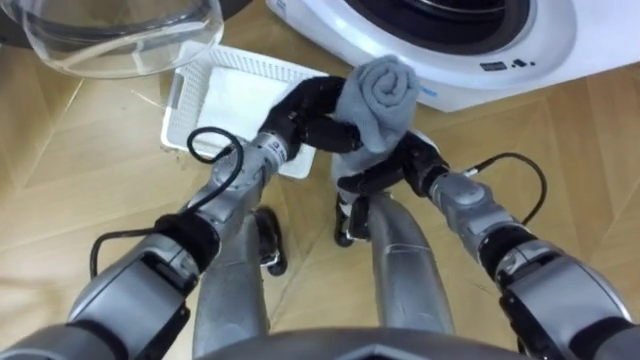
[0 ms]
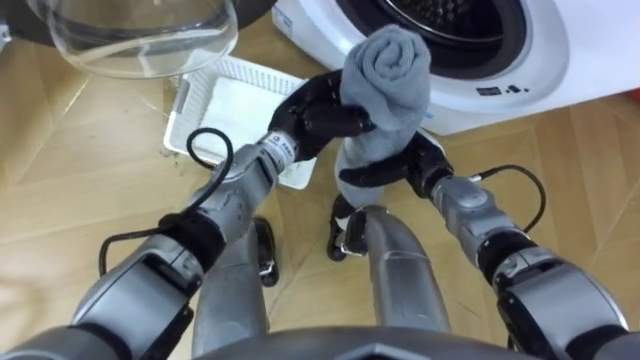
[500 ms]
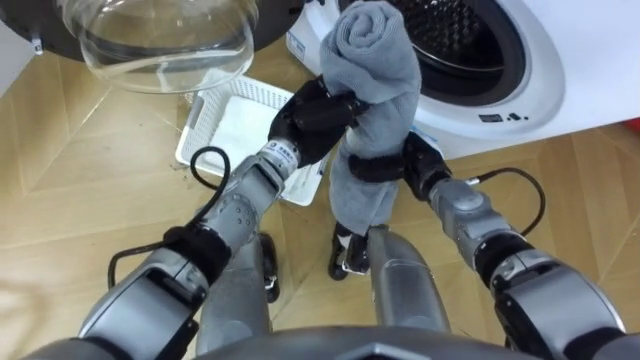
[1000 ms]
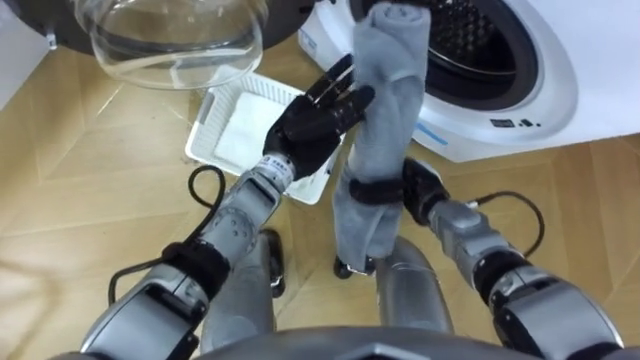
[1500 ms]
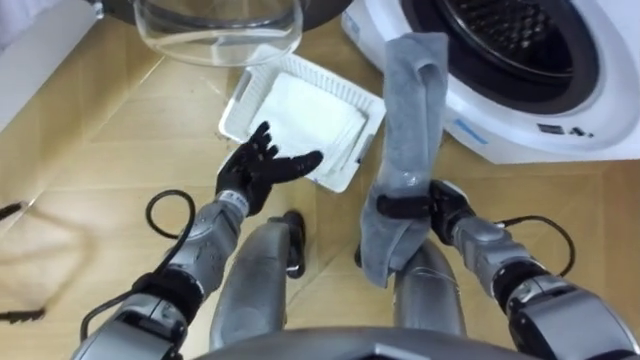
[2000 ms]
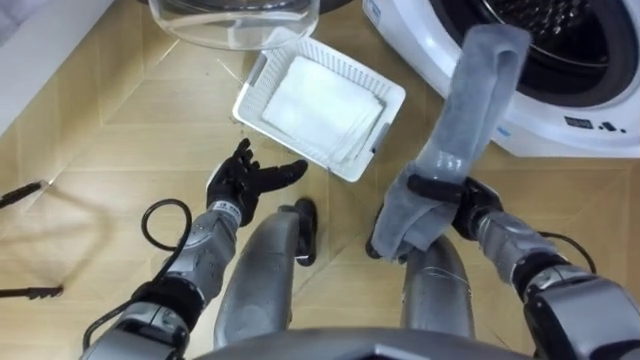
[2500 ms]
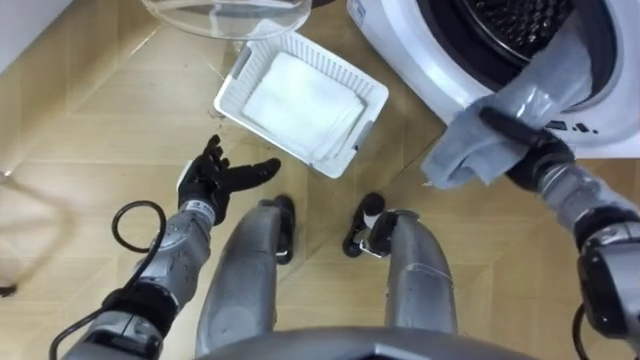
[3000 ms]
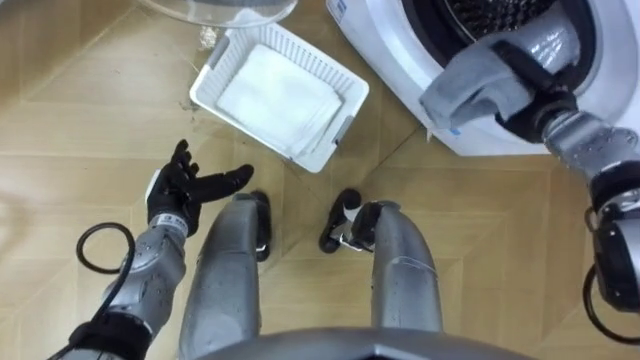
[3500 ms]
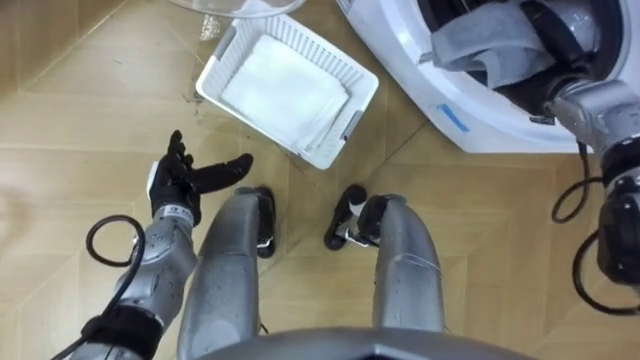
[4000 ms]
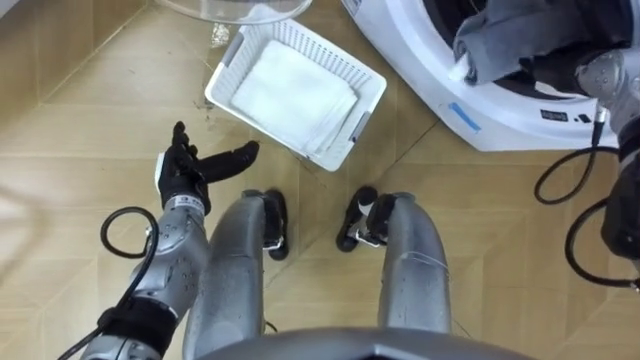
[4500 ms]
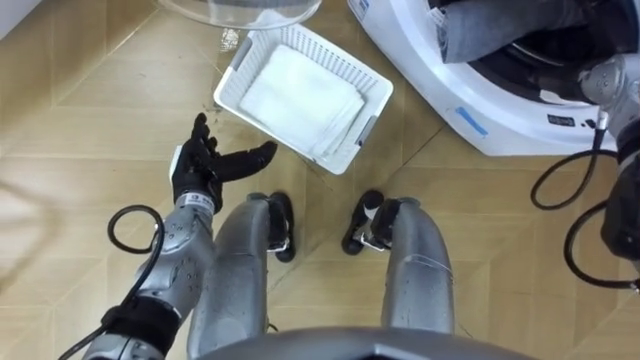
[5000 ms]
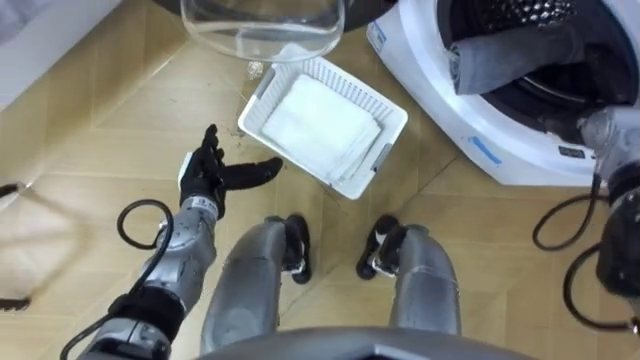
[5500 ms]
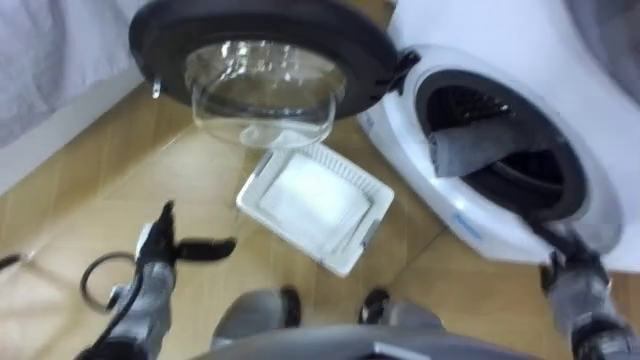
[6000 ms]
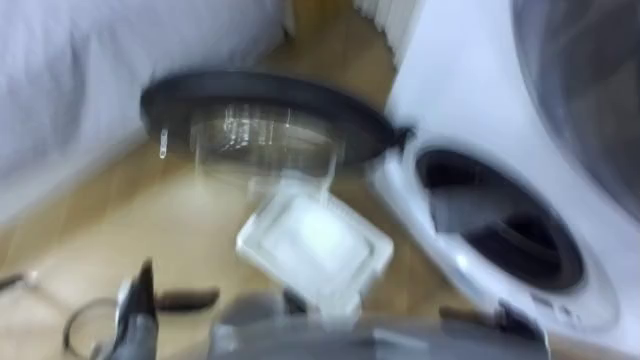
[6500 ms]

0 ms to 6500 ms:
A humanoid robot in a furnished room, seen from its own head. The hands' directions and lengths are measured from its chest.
Task of the whole recording: Take the towel from the basket and put it into the washing machine.
0 ms to 2000 ms: The right hand travels backward, to the right and downward by about 10 cm, and closes its fingers, while the left hand moves downward, to the left and backward, roughly 15 cm, and opens up.
2000 ms to 4500 ms: The left hand is displaced to the left by some 10 cm, while the right hand moves upward, to the right and forward, approximately 25 cm, and opens up.
4500 ms to 6500 ms: The left hand shifts approximately 20 cm backward, downward and to the left. Meanwhile the right hand heads backward and downward, covering roughly 40 cm.

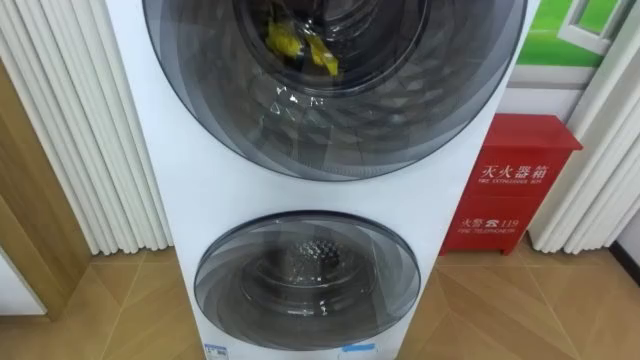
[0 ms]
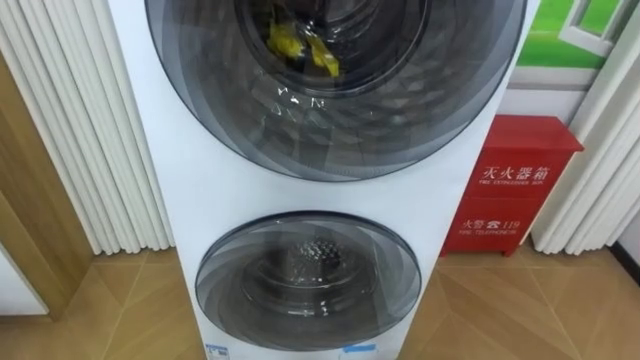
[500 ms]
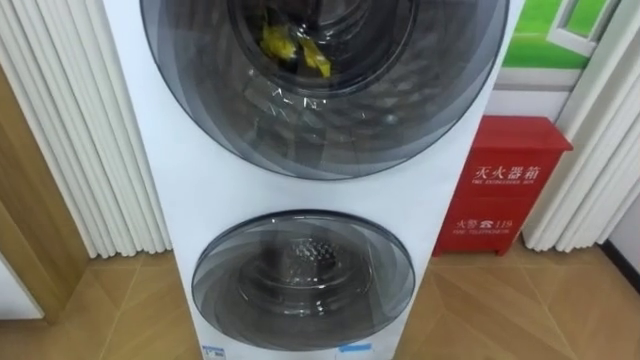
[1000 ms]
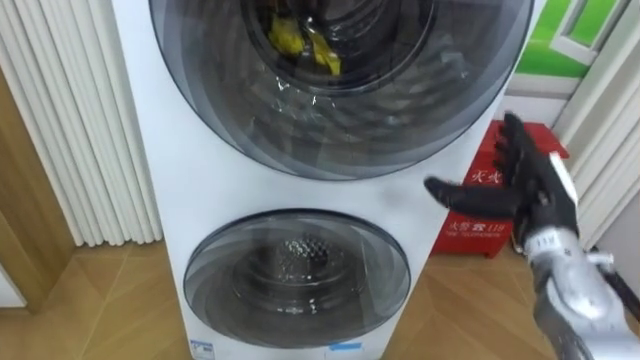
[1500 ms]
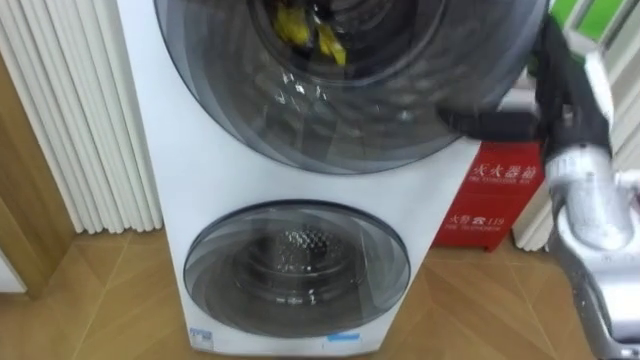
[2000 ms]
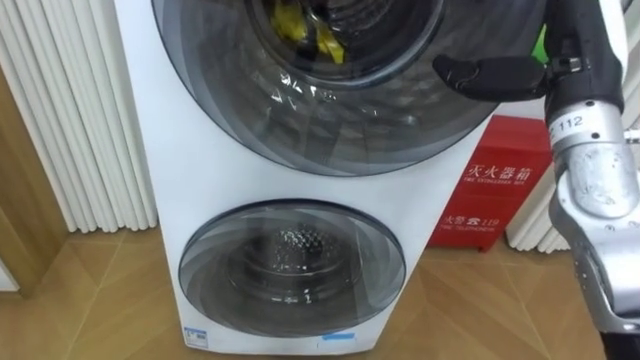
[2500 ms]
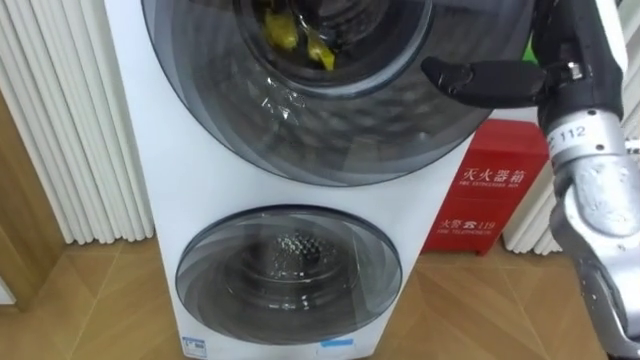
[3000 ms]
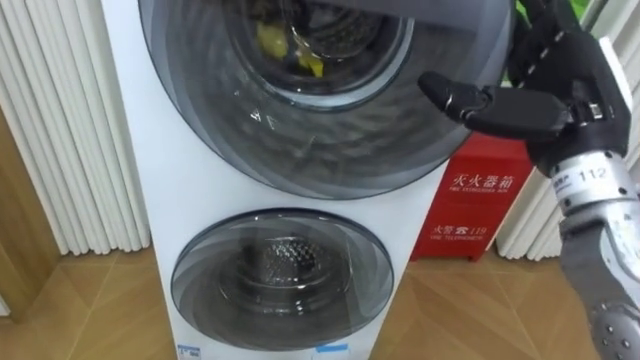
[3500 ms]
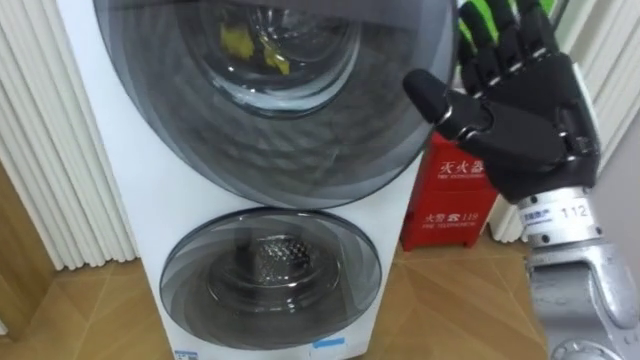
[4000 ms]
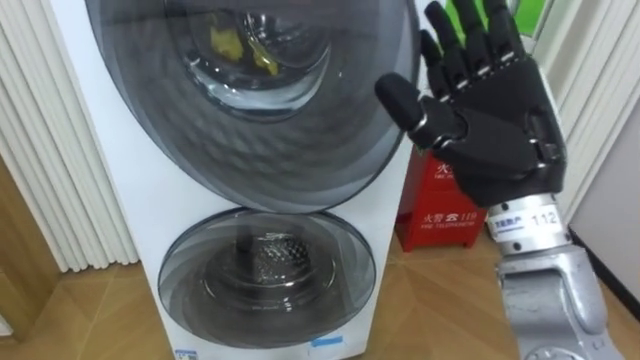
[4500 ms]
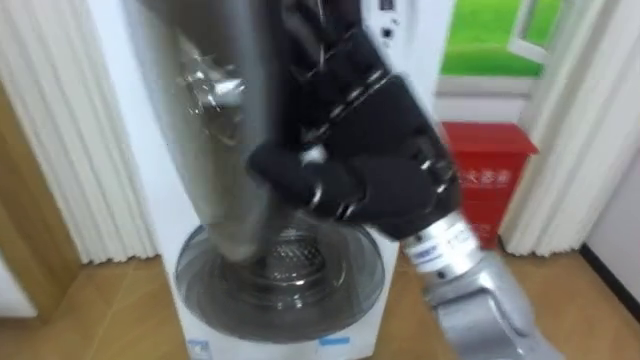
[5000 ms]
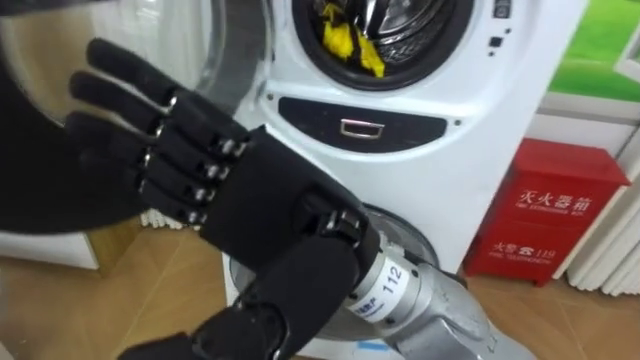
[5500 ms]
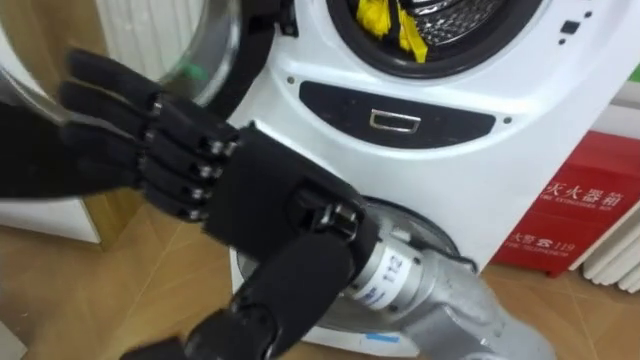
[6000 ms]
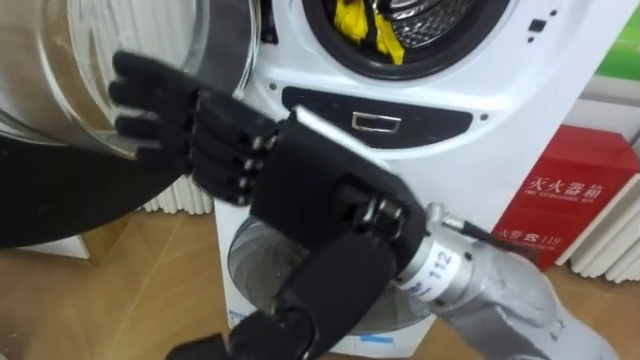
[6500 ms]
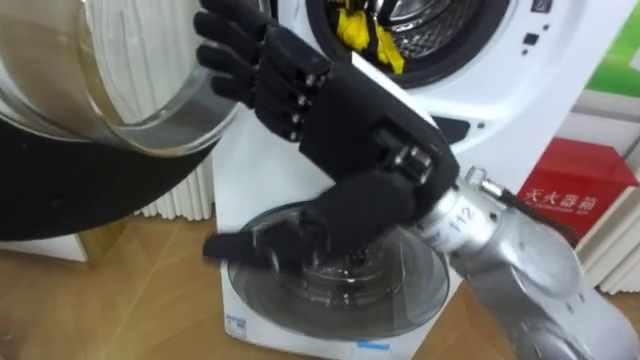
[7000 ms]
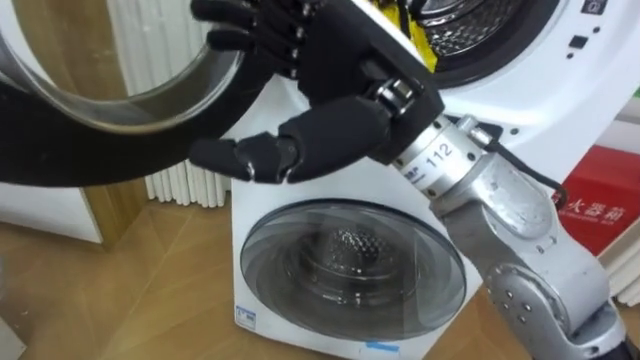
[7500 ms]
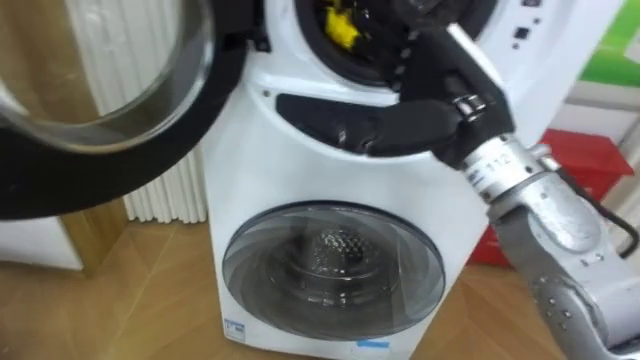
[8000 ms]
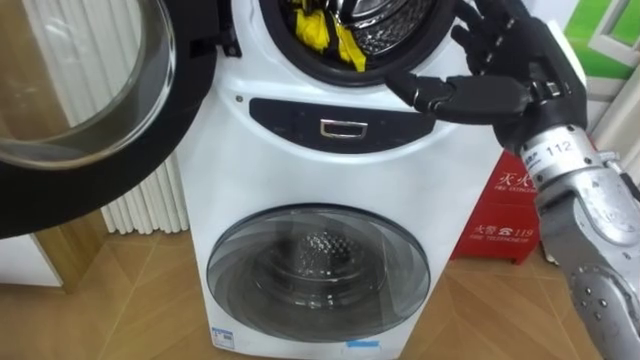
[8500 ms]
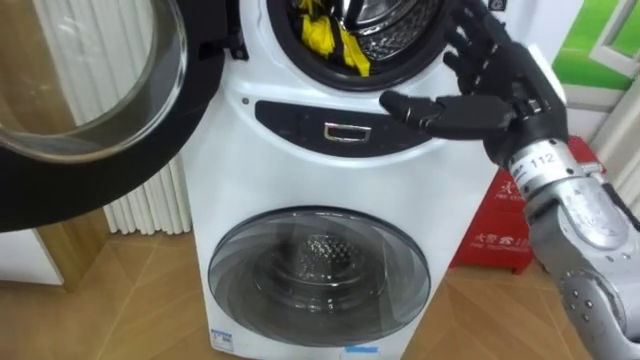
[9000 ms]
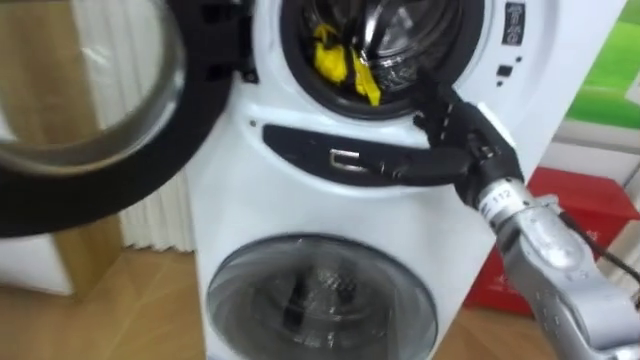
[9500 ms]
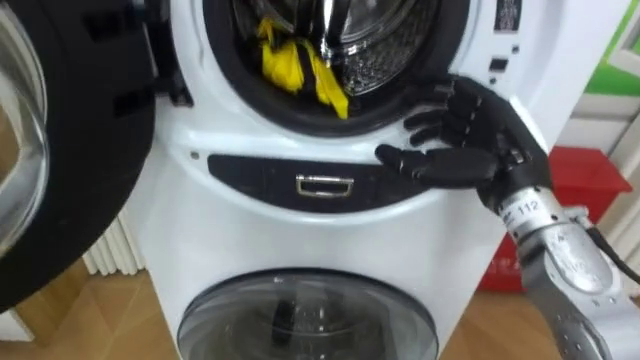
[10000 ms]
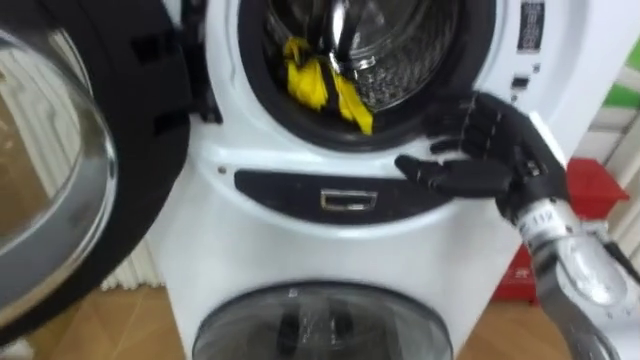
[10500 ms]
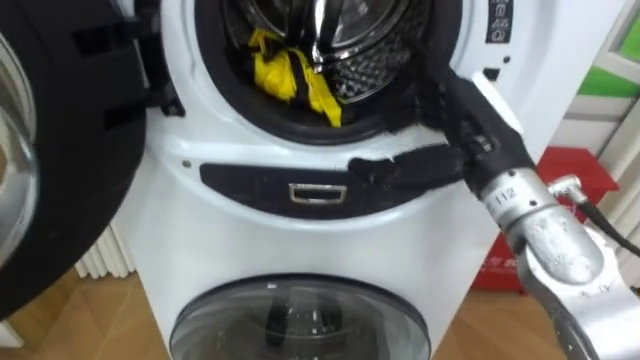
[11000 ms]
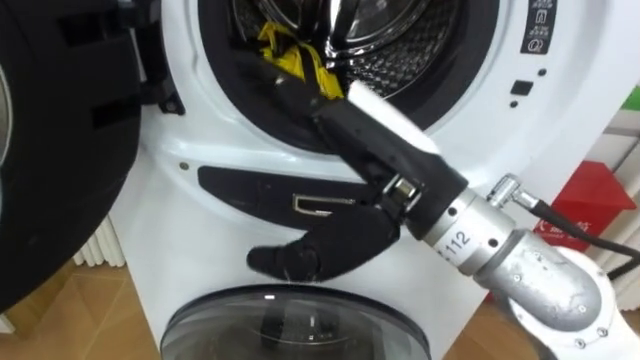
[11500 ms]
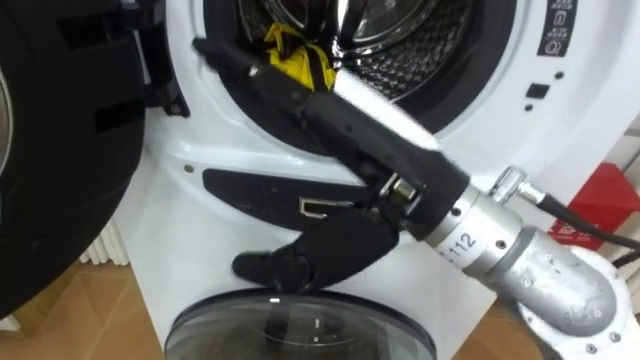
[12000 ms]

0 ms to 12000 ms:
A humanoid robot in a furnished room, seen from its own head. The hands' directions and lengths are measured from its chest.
Task of the whole recording: Open the washing machine door, take out the yellow clothes, place them in the box on the right, and close the washing machine door.
2000 ms to 4000 ms: The right hand moves to the left and backward, approximately 10 cm.
4000 ms to 6000 ms: The right hand travels to the left and backward by approximately 20 cm.
6000 ms to 8000 ms: The right hand moves to the right and forward, about 20 cm.
8000 ms to 10000 ms: The right hand moves downward and to the right, roughly 10 cm.
10000 ms to 12000 ms: The right hand heads to the left, backward and upward, covering about 20 cm.

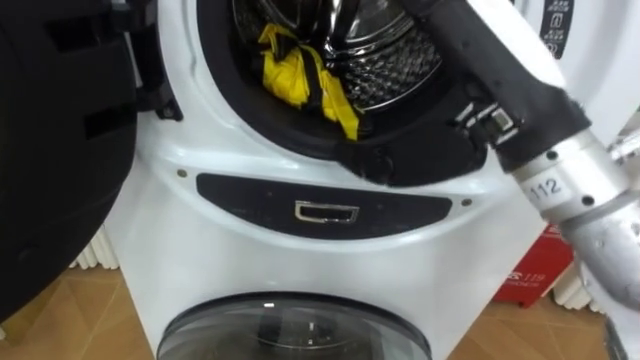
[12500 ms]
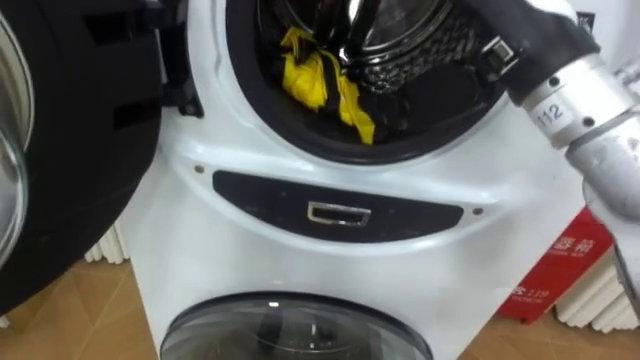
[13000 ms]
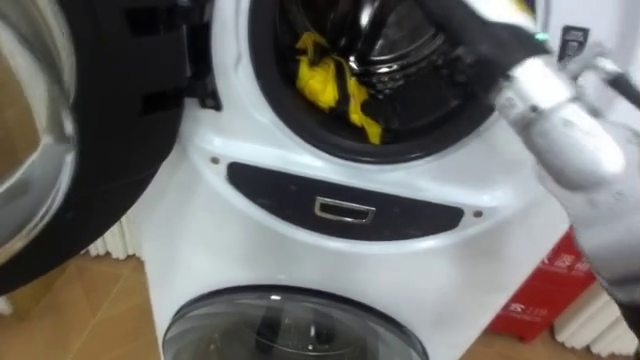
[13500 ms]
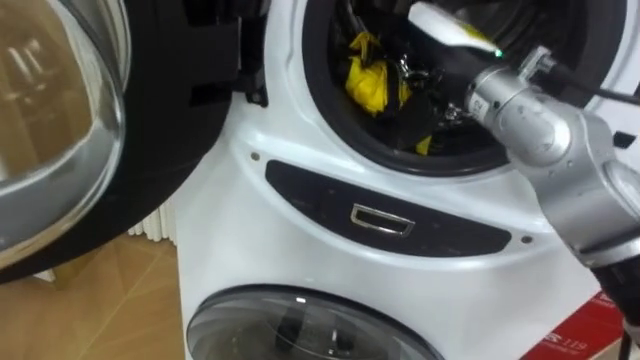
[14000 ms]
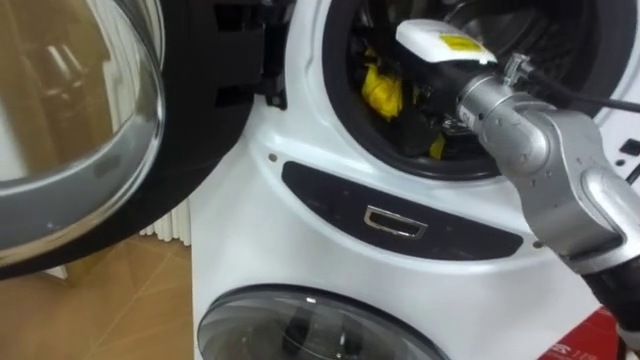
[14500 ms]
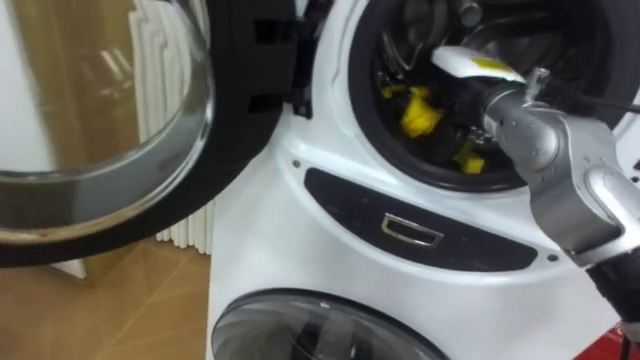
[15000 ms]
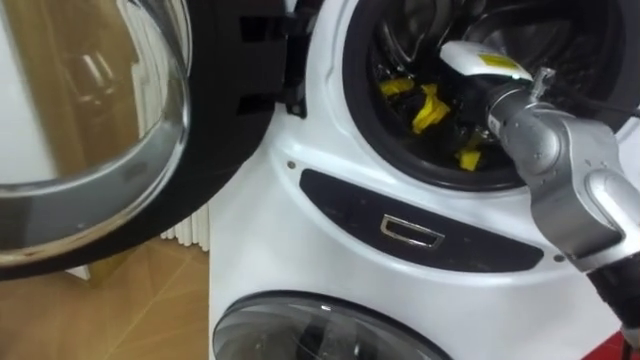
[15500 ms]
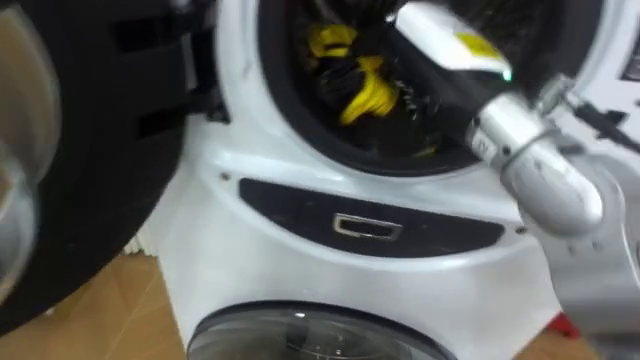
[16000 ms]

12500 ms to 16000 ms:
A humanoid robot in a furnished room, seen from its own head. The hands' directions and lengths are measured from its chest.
Task of the whole recording: Open the washing machine door, take out the yellow clothes, place them in the box on the right, and close the washing machine door.
12500 ms to 14500 ms: The right hand heads forward and downward, covering about 15 cm.
14500 ms to 16000 ms: The right hand travels backward by roughly 5 cm, and closes up.
